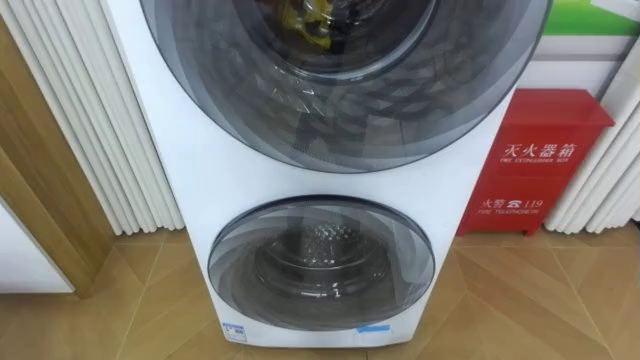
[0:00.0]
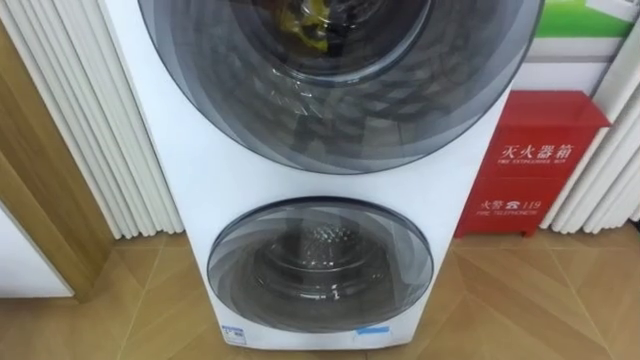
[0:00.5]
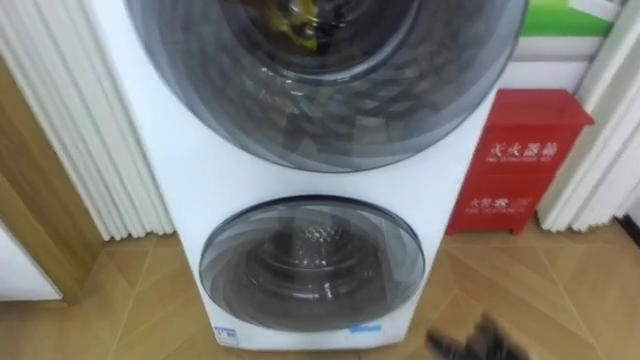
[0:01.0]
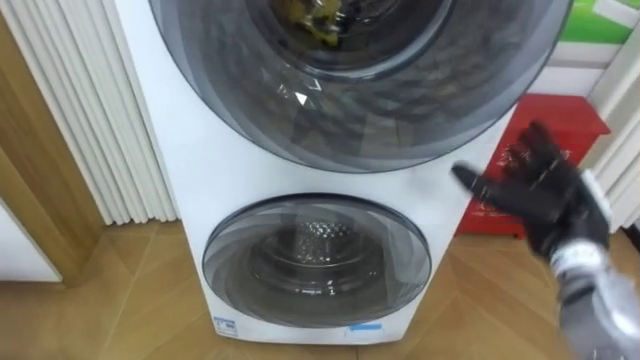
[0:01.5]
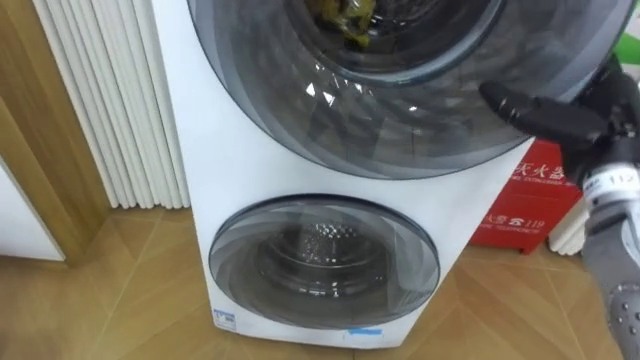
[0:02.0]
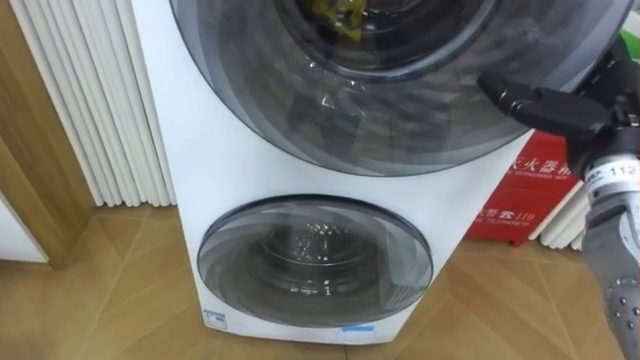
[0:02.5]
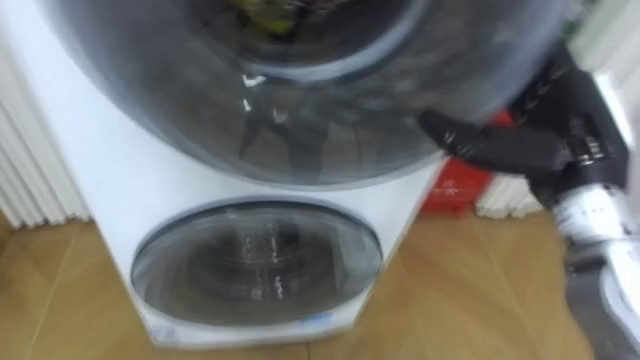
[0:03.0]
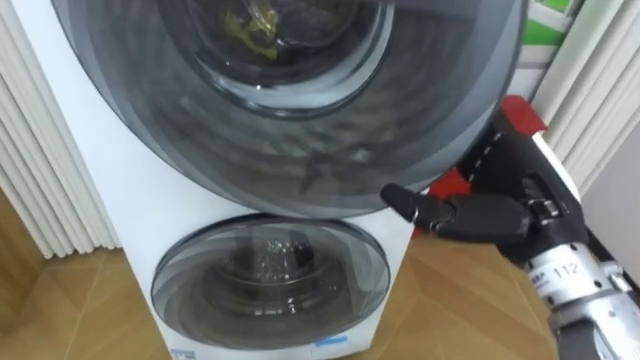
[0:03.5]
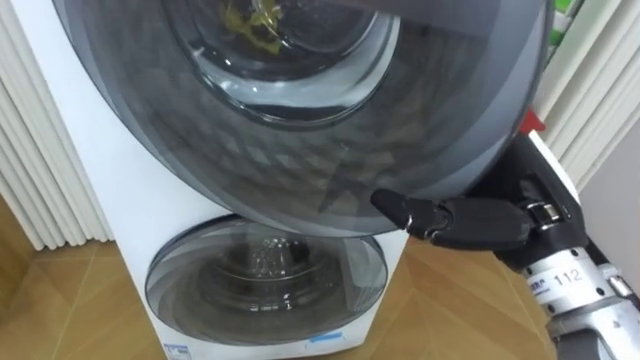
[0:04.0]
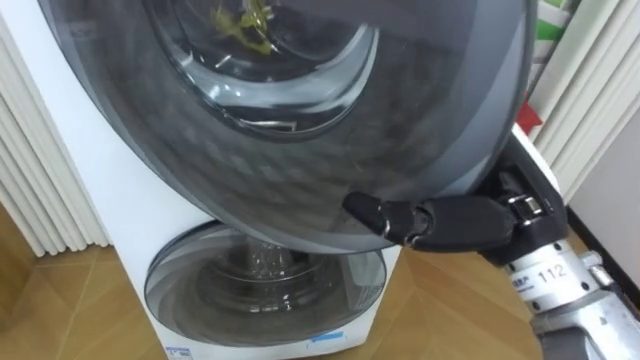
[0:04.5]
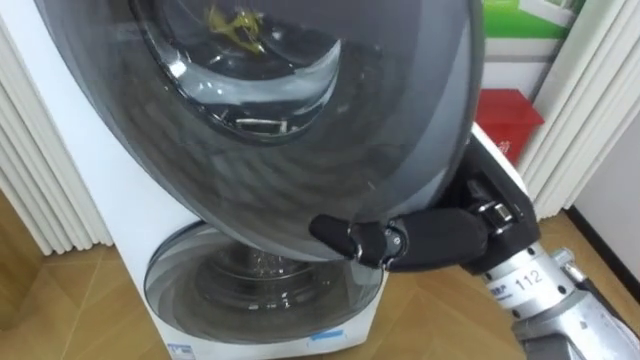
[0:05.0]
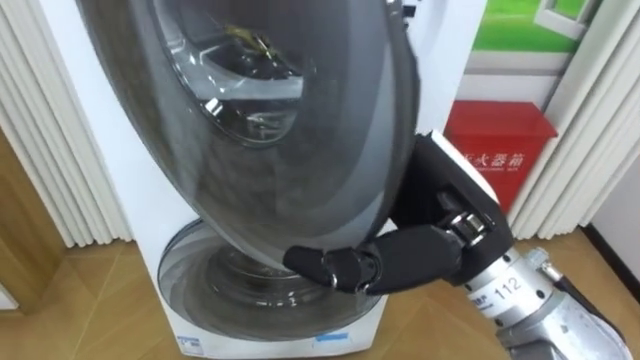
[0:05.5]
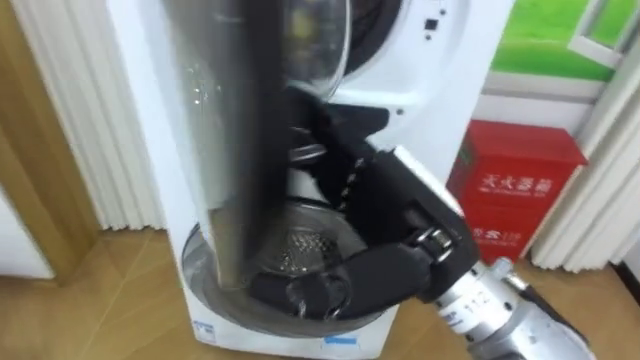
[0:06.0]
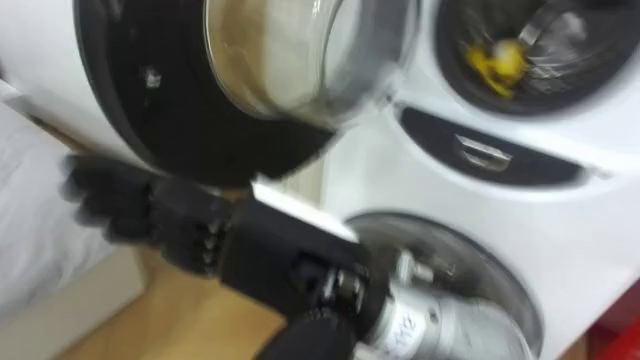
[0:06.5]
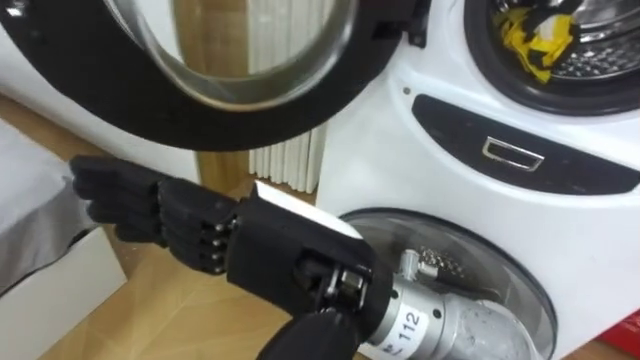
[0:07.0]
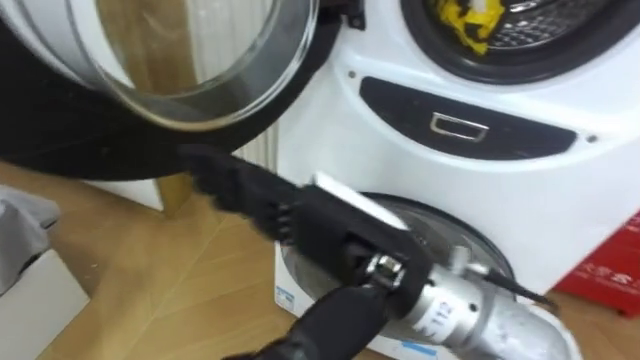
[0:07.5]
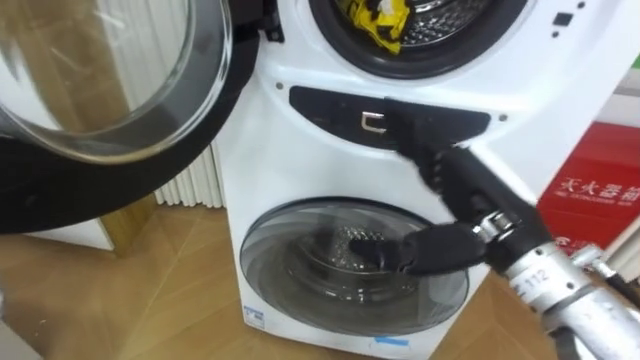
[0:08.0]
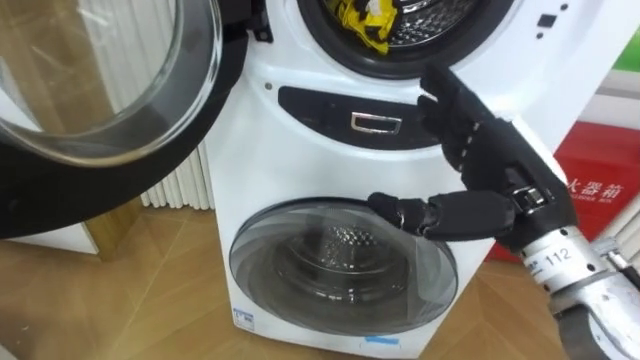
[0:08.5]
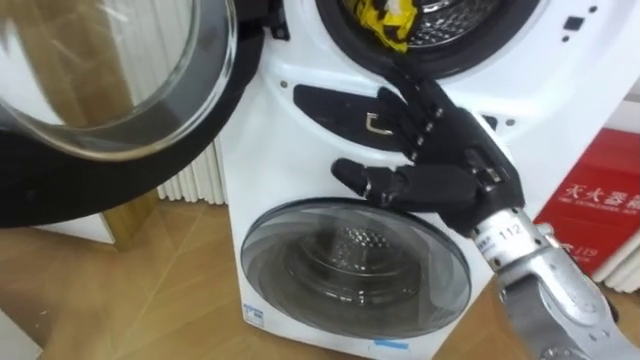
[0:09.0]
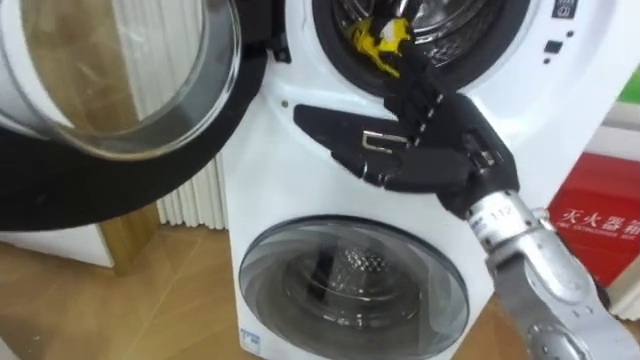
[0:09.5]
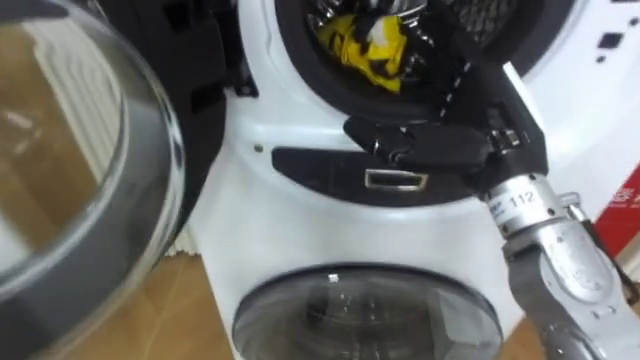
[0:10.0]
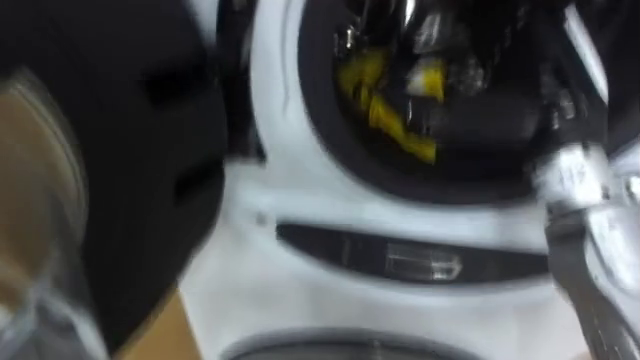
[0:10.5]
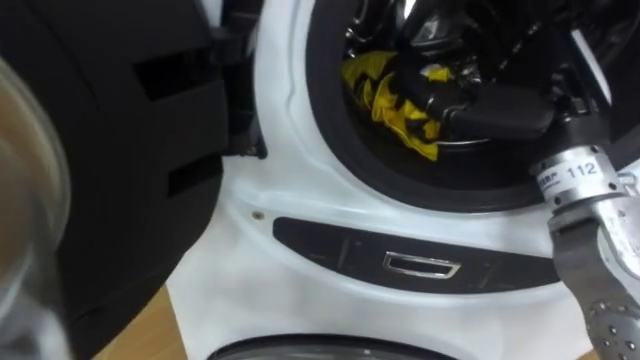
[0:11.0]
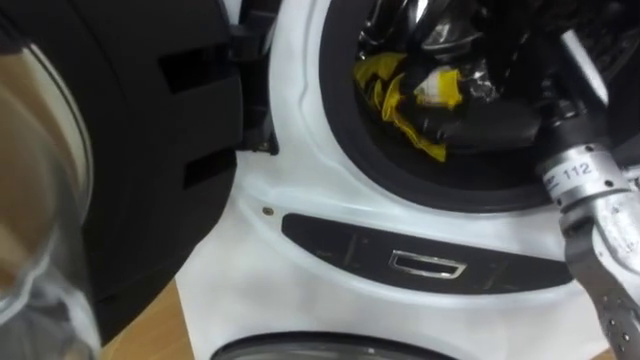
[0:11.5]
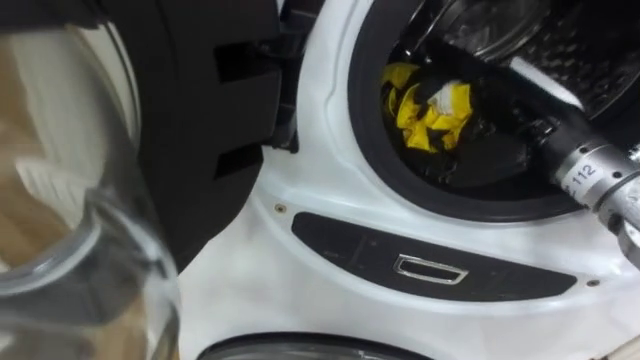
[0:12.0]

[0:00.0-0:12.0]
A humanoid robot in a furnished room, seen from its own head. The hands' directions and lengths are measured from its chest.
Task of the whole recording: Open the washing machine door, take out the yellow clothes, place them in the box on the right, and close the washing machine door.
0:02.0 to 0:04.0: The right hand goes about 15 cm to the left and backward.
0:04.0 to 0:06.0: The right hand goes about 10 cm to the left.
0:06.0 to 0:08.0: The right hand moves to the right, approximately 10 cm.
0:08.0 to 0:10.0: The right hand goes roughly 5 cm upward.
0:10.0 to 0:12.0: The right hand ends up roughly 5 cm from where it was.

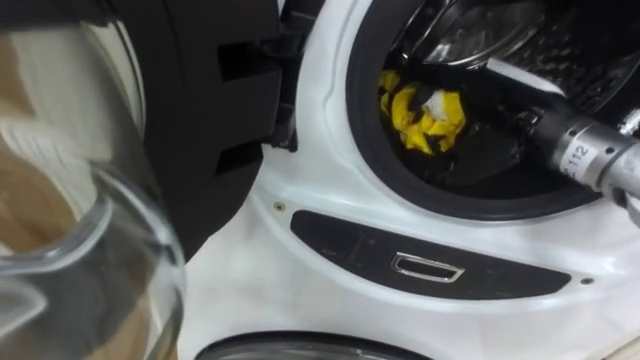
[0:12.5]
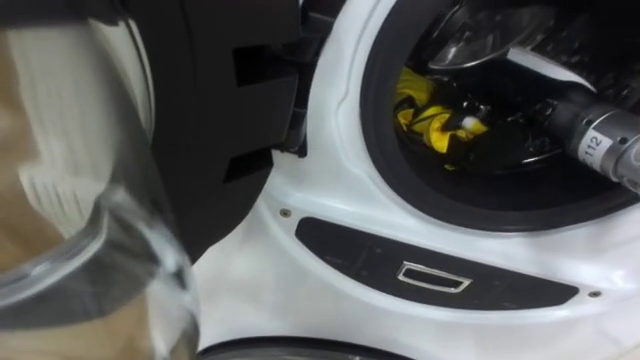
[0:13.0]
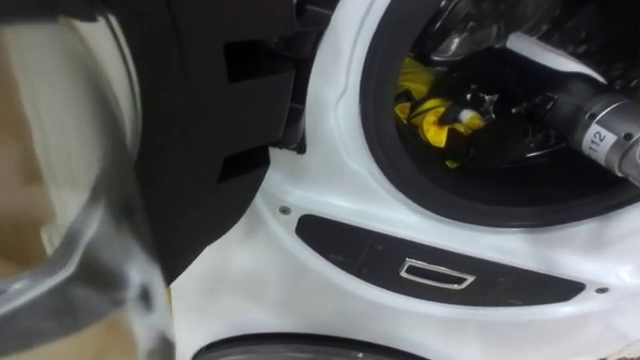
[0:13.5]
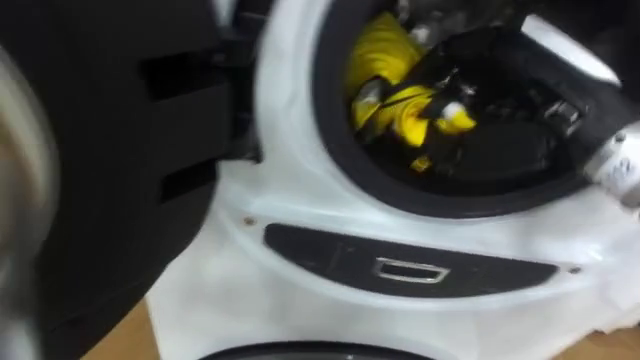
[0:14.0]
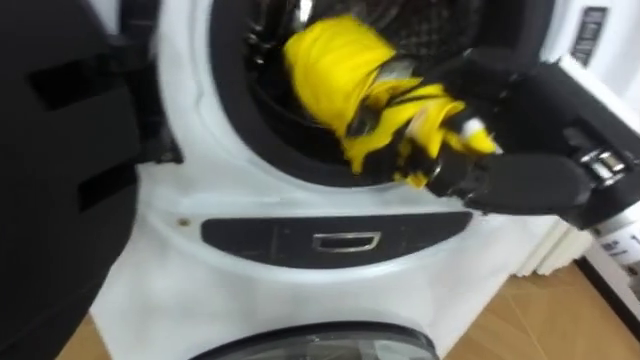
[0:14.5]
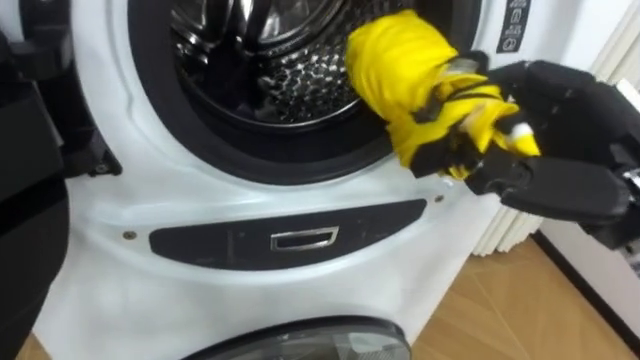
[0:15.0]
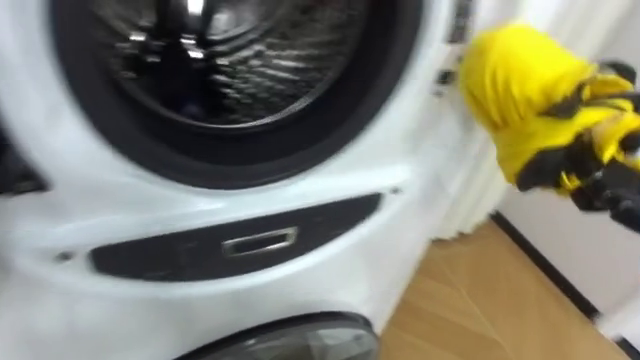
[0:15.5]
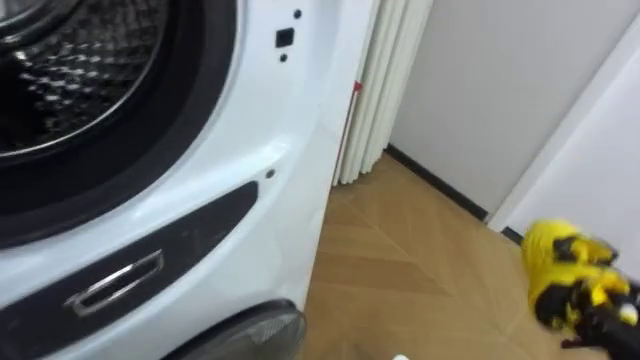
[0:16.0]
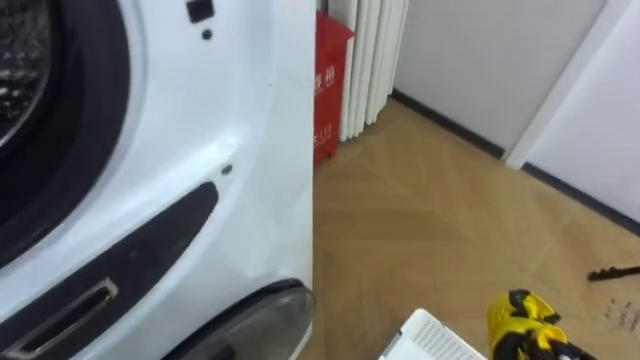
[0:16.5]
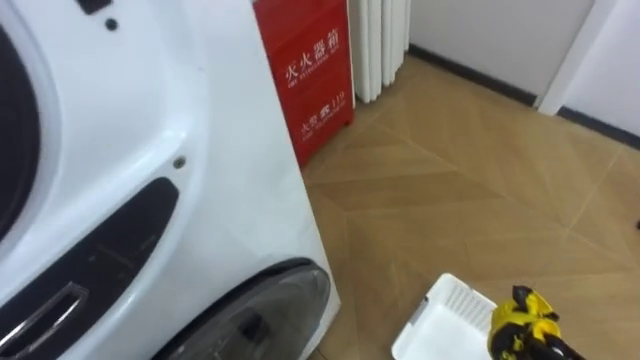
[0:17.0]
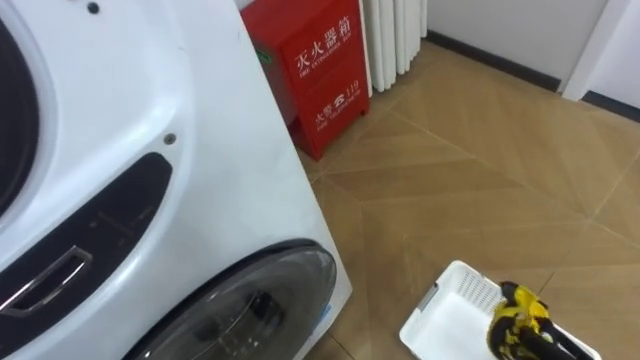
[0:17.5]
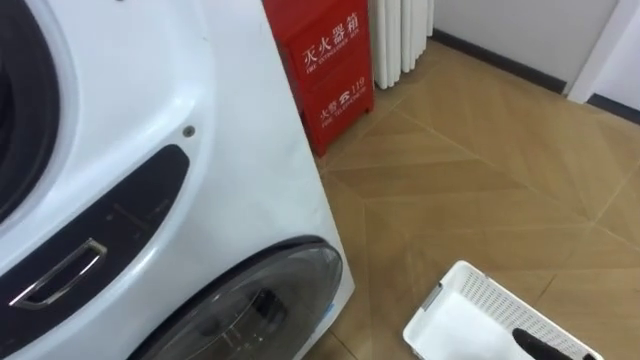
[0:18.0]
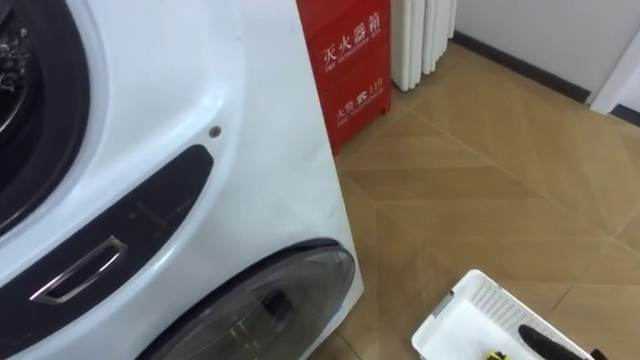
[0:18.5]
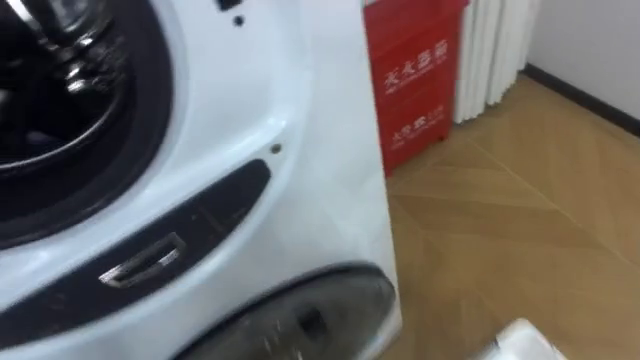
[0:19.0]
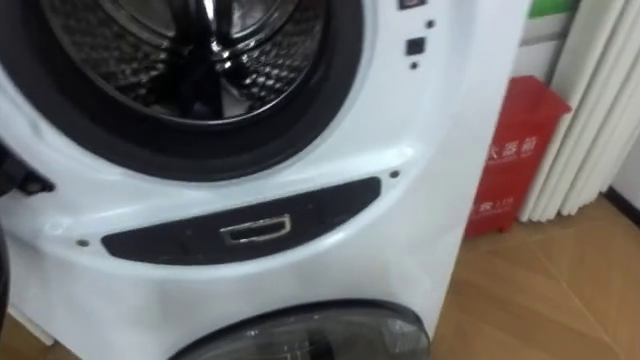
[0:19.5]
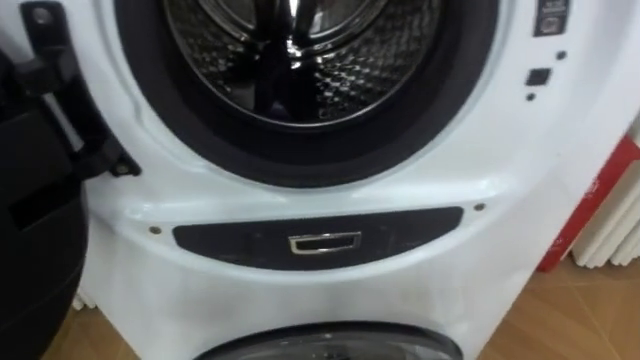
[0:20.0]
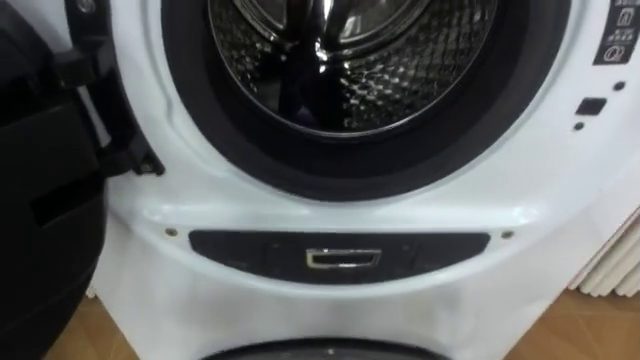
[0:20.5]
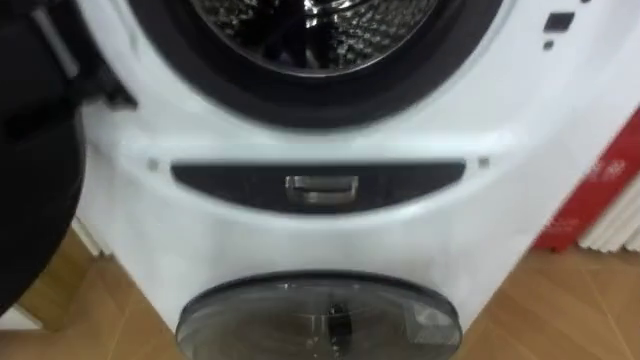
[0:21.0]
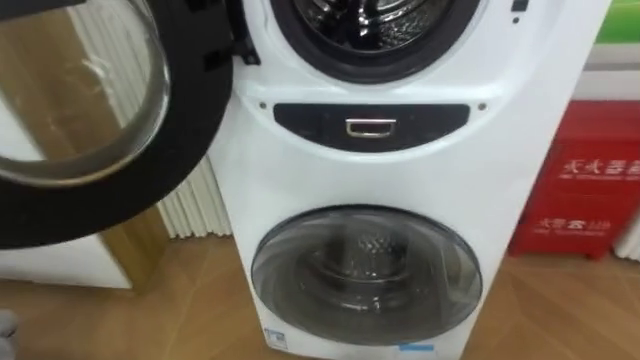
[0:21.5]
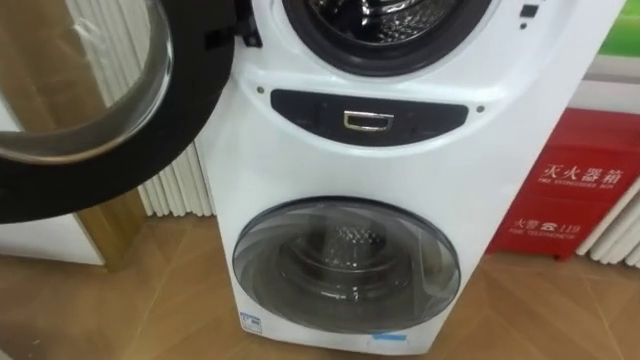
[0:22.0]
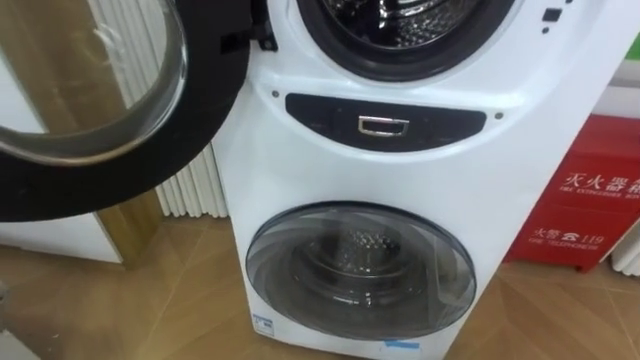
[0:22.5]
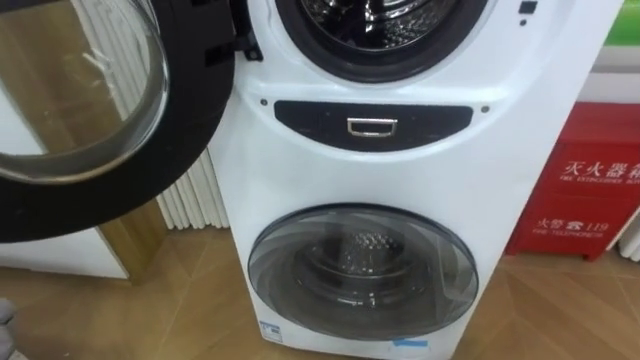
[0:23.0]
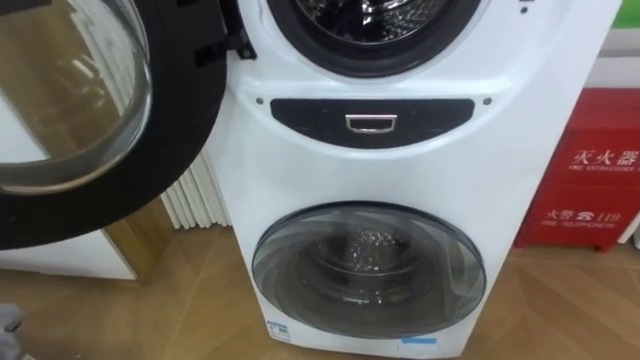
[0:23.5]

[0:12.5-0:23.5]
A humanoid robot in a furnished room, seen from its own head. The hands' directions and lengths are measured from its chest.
Task of the whole recording: Open the washing machine door, take out the yellow clothes, place them in the box on the right, and close the washing machine door.
0:12.5 to 0:14.5: The right hand shifts roughly 10 cm backward, and closes.
0:18.0 to 0:20.0: The robot's body swings some 25 degrees to its left.
